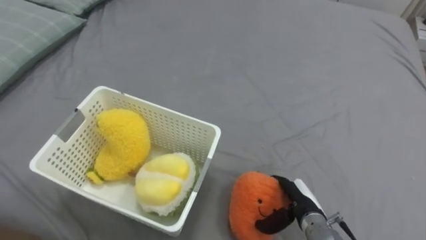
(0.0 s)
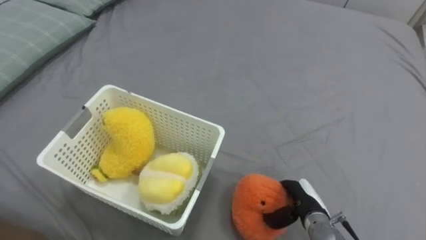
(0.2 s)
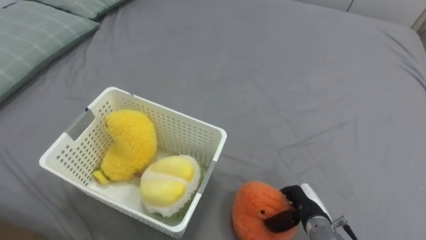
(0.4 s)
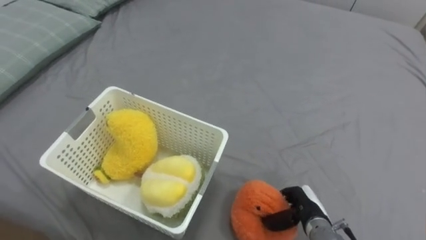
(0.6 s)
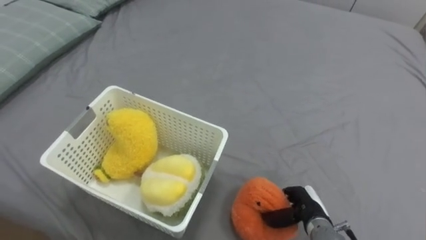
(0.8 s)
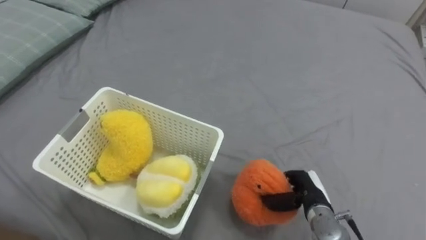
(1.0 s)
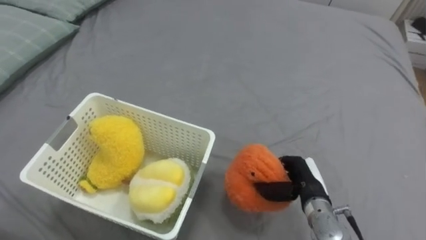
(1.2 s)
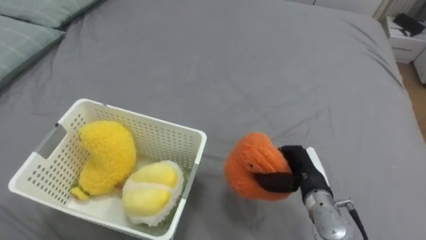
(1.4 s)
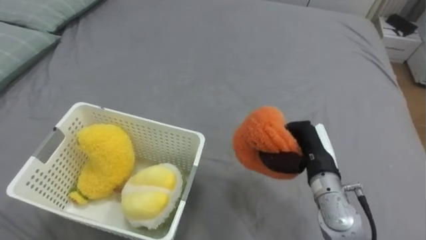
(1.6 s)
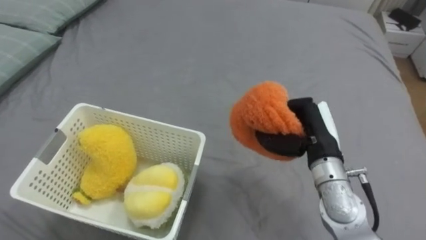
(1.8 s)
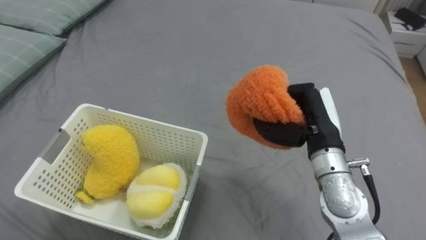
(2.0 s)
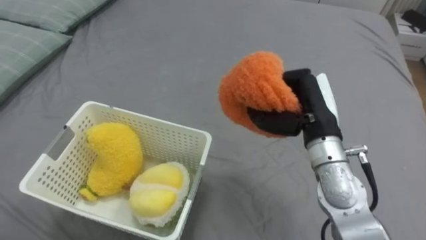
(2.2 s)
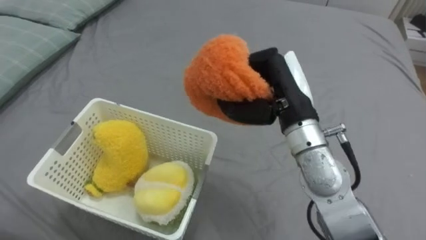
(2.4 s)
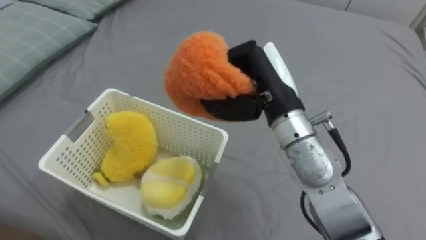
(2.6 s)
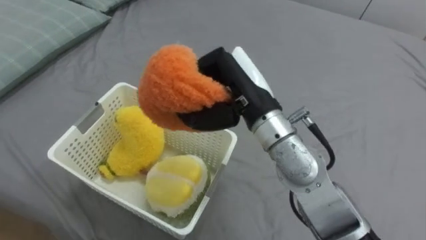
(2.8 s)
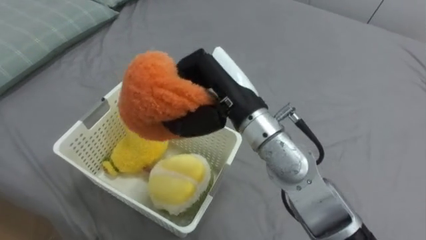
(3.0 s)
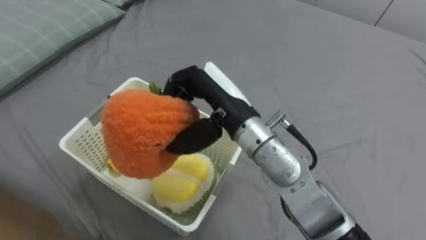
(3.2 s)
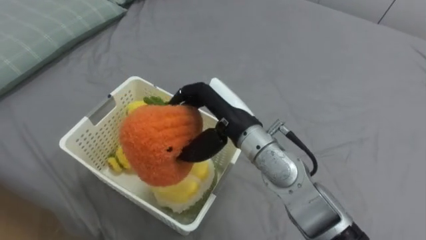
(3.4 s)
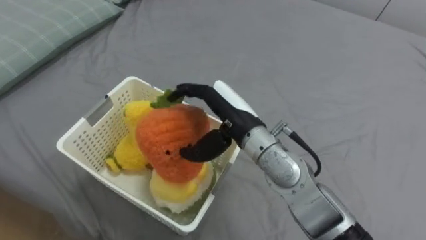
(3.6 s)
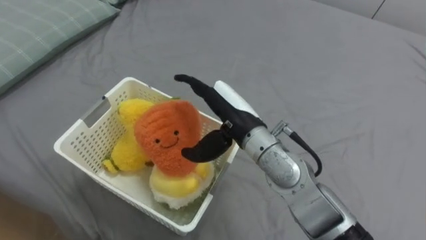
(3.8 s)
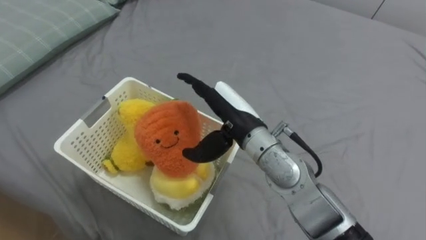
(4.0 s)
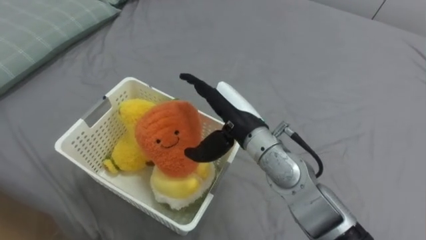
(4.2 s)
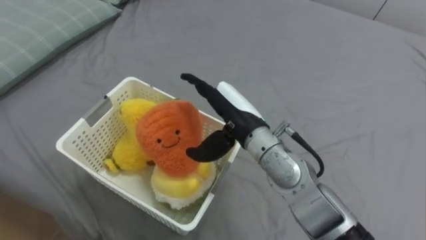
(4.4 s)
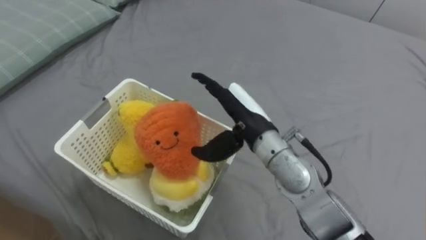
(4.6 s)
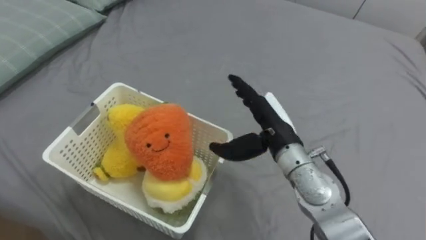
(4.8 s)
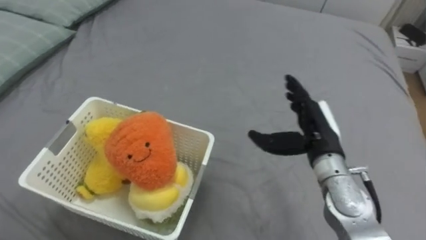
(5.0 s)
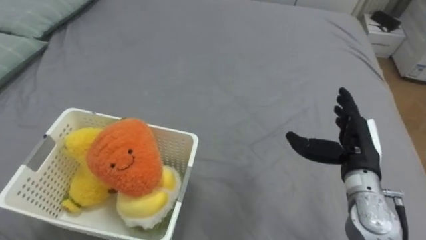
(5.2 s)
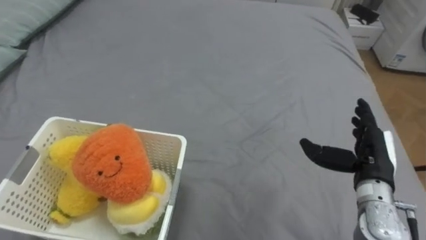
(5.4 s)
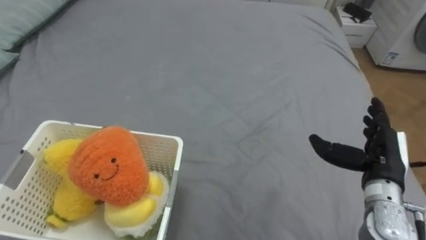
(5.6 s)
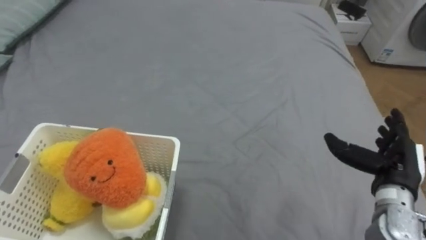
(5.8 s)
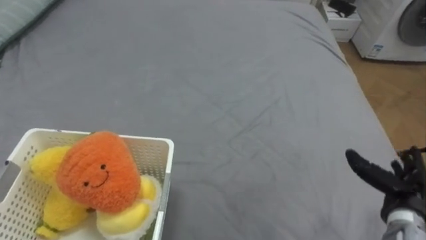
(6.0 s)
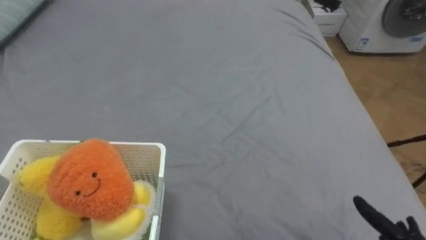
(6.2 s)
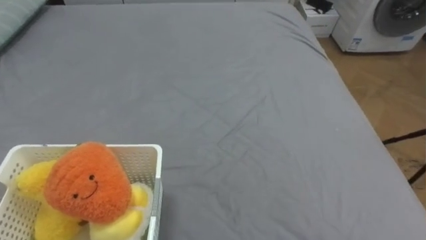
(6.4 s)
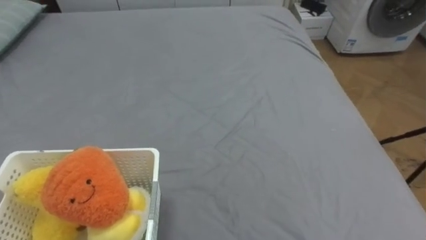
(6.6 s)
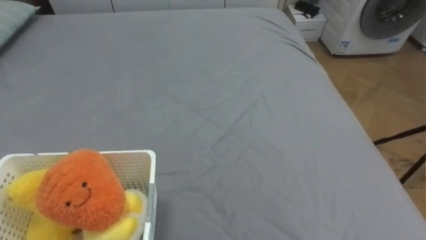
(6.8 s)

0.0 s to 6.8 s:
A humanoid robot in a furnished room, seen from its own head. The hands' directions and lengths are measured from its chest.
Task of the whole recording: Put the toys on the bed into the basket on the left.
0.0 to 1.4 s: The right hand is displaced upward by some 5 cm, and closes up.
1.4 to 2.8 s: The right hand travels upward and to the left by some 25 cm.
2.8 to 4.0 s: The right hand shifts about 5 cm downward, and opens up.
4.0 to 5.4 s: The right hand goes roughly 25 cm to the right.

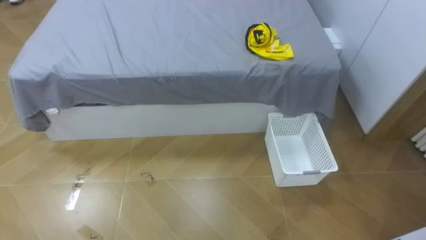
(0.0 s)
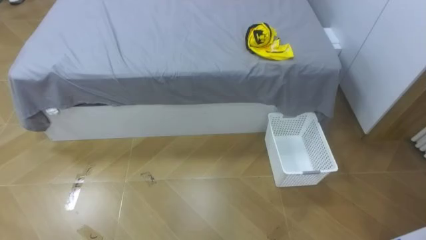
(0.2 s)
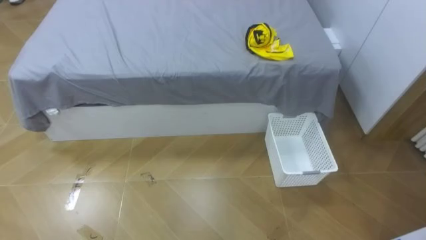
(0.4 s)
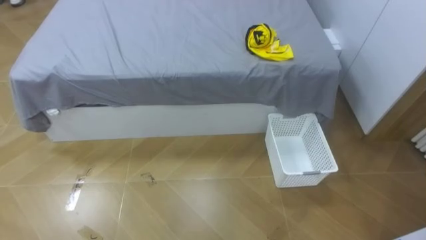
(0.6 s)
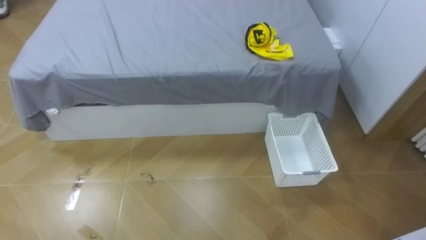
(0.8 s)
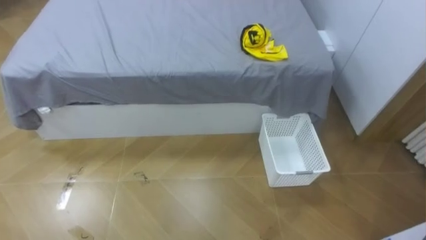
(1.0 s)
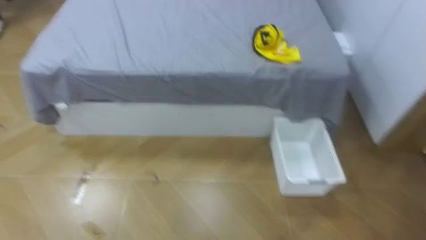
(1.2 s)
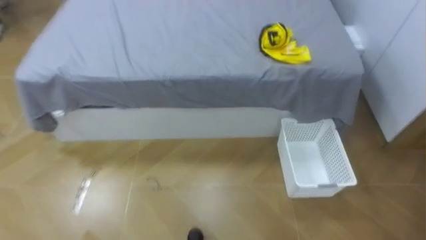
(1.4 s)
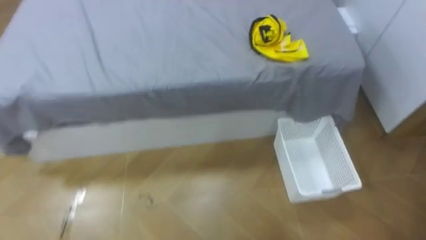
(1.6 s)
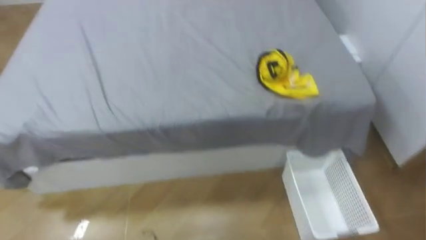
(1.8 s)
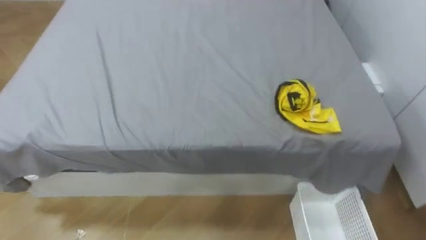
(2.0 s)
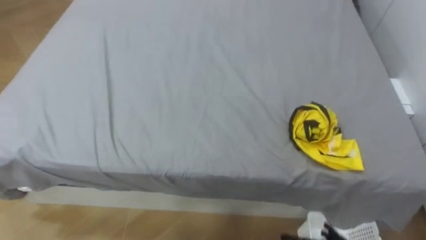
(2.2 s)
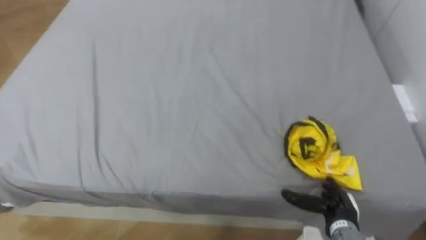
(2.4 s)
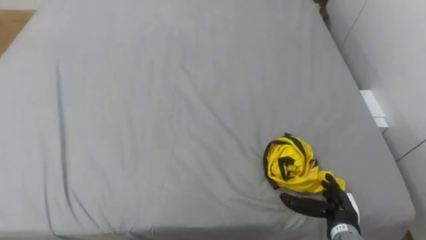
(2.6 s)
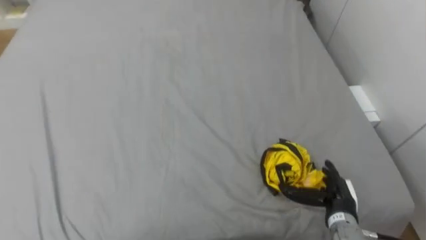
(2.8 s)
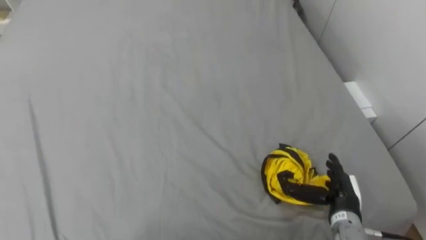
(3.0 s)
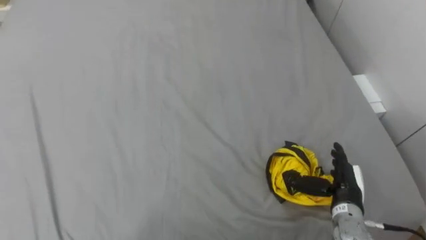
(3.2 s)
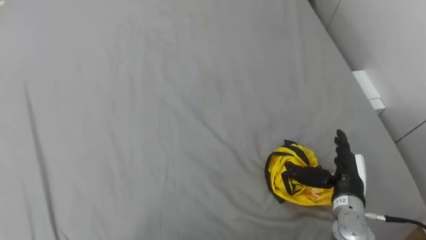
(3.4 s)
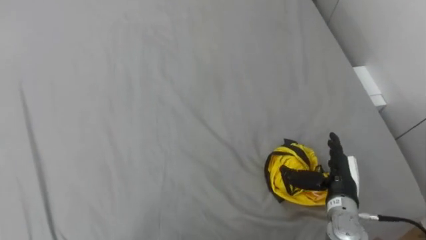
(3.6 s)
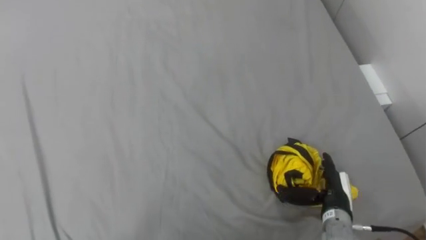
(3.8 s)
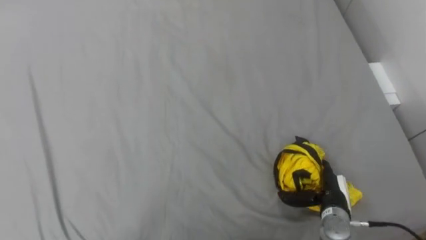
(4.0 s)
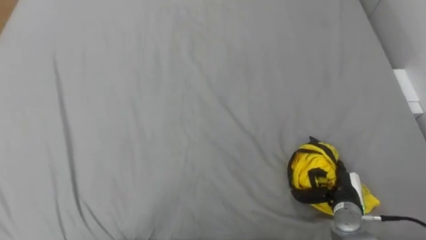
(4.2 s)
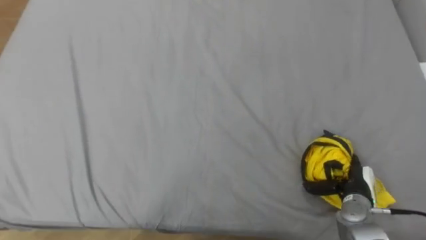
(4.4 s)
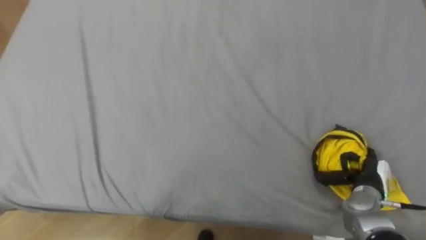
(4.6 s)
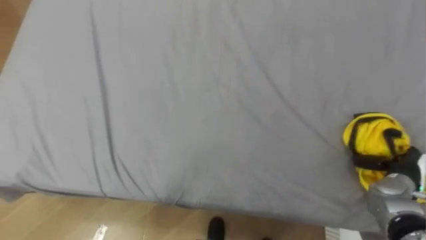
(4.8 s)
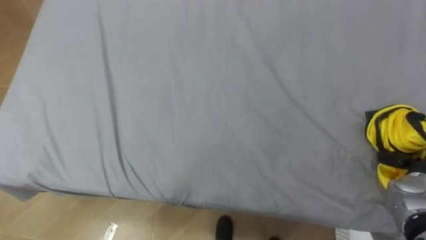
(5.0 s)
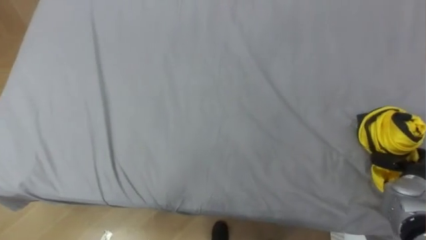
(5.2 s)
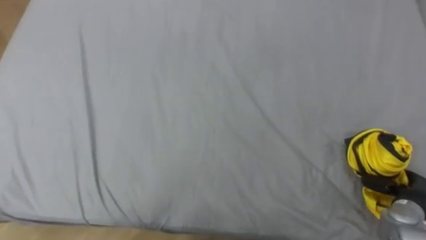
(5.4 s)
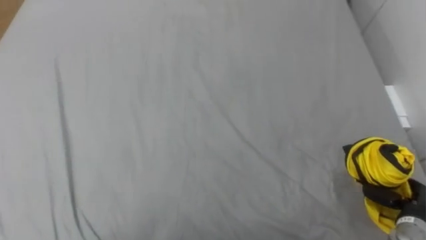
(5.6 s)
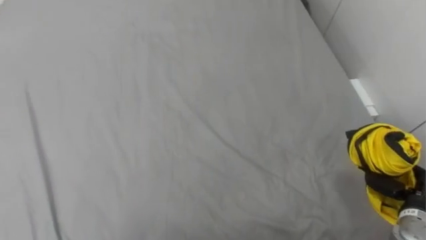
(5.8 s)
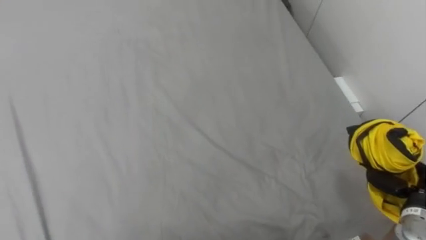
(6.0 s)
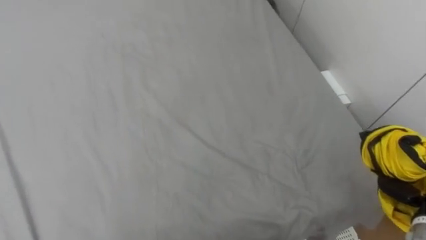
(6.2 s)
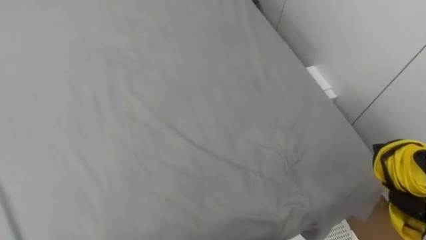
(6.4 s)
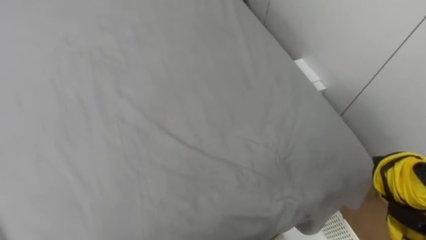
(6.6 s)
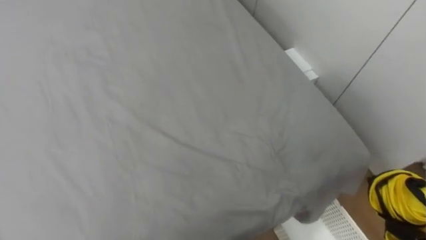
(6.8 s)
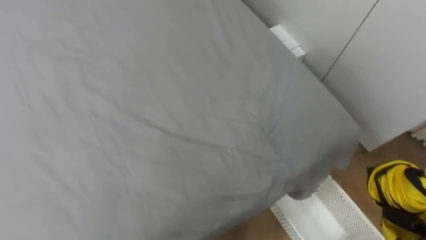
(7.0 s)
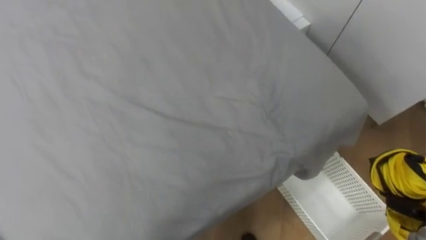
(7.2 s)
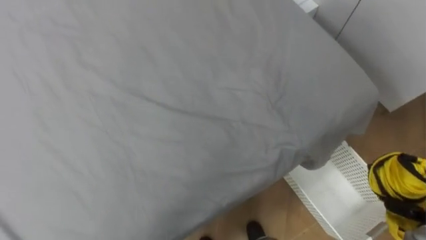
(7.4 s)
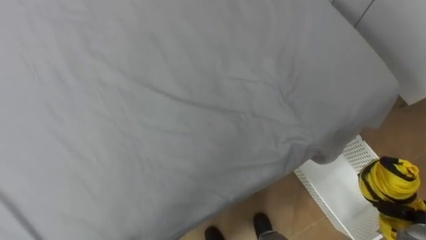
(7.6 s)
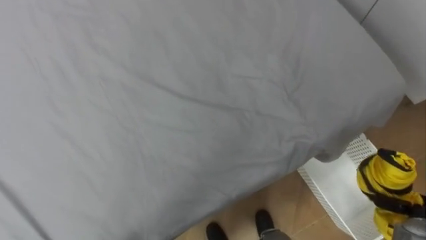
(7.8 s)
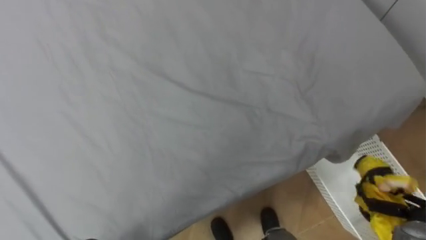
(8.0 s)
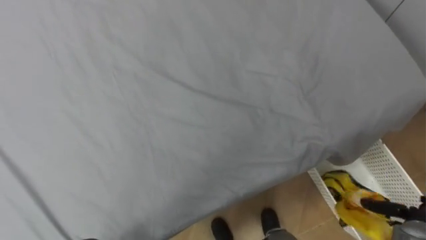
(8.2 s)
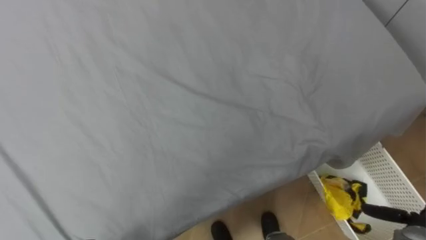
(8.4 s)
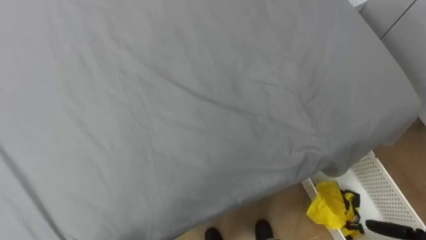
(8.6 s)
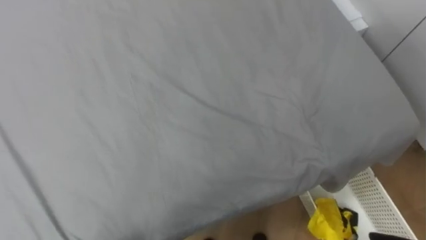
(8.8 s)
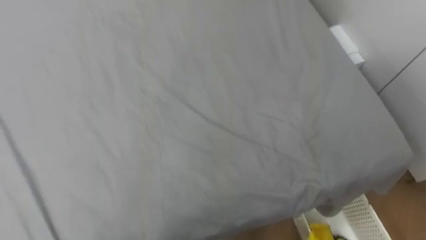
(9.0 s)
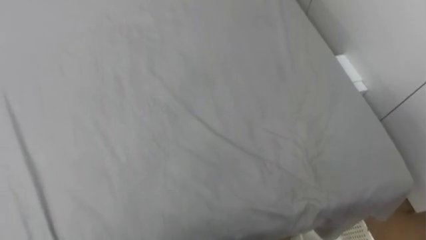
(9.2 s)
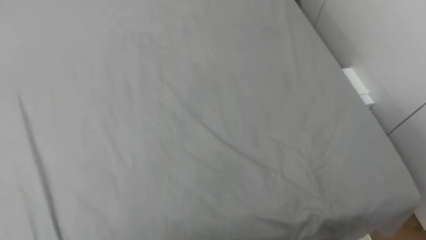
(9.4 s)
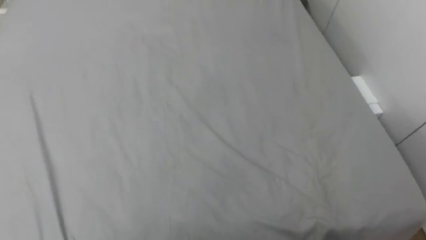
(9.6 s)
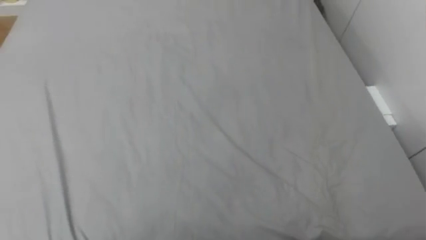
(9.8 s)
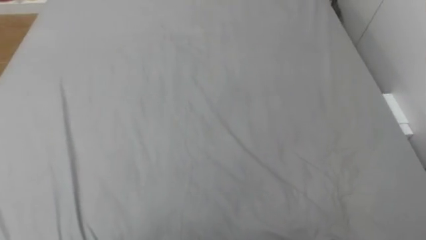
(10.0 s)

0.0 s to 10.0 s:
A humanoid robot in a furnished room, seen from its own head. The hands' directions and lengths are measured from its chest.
Task of the whole recording: Pick up the yellow clothes on the bed and place them into the white basket on the right.
4.2 to 5.8 s: The right hand moves to the right and upward, about 15 cm, and closes its fingers.
